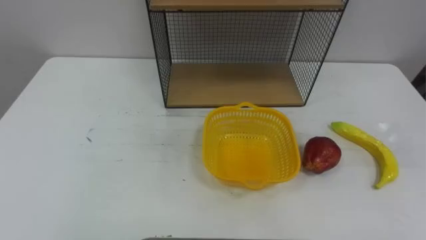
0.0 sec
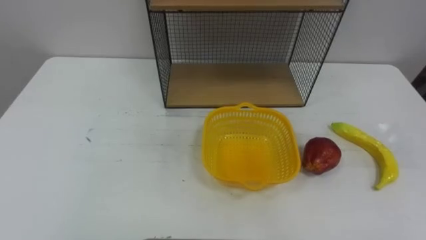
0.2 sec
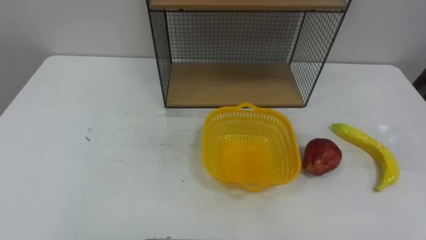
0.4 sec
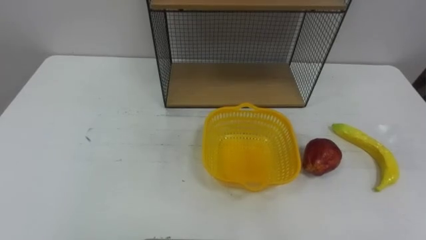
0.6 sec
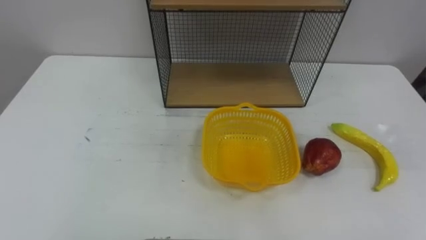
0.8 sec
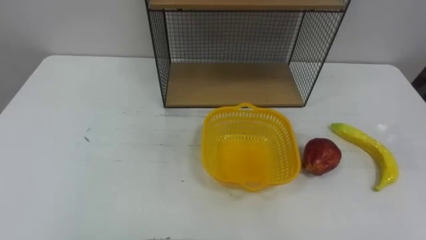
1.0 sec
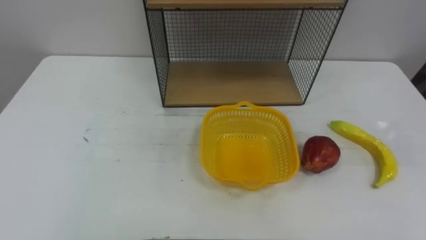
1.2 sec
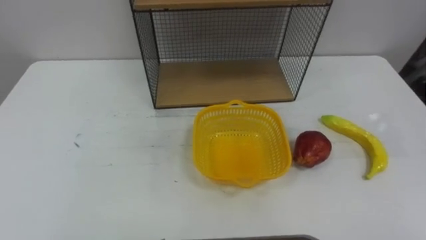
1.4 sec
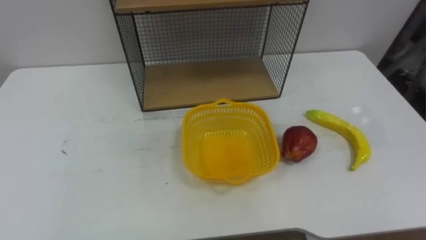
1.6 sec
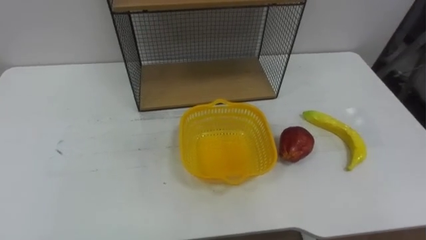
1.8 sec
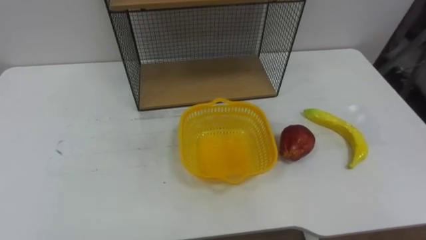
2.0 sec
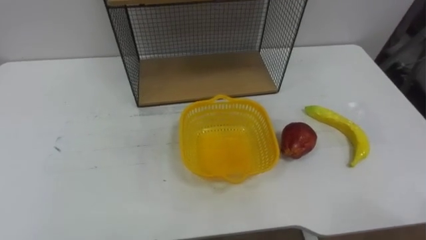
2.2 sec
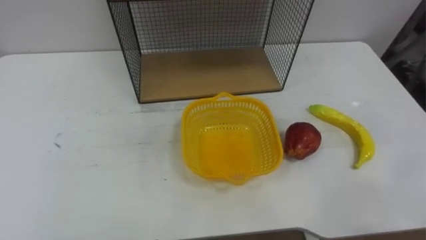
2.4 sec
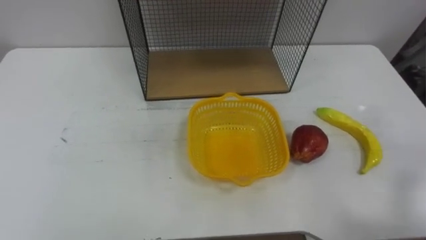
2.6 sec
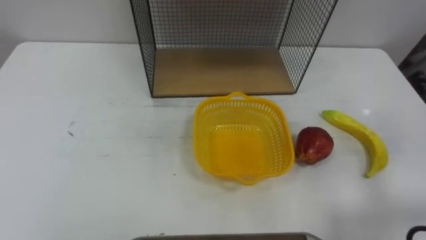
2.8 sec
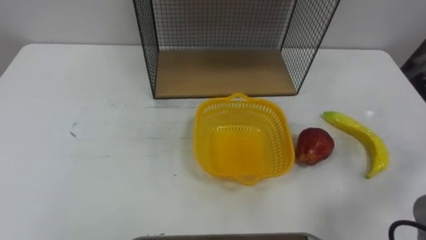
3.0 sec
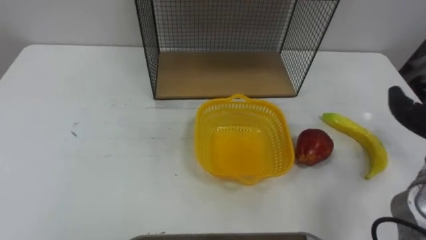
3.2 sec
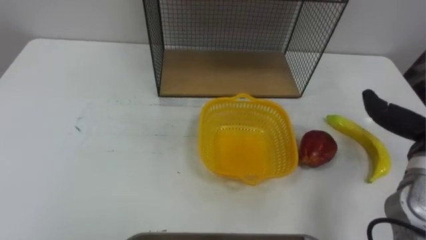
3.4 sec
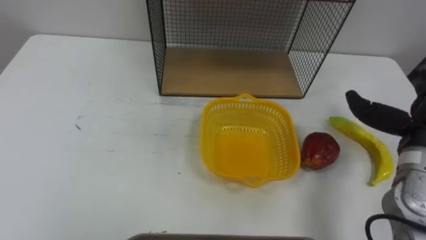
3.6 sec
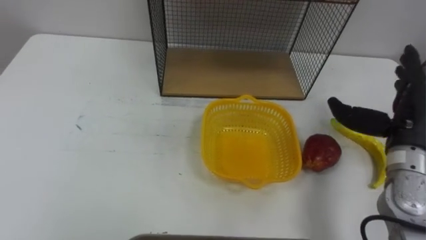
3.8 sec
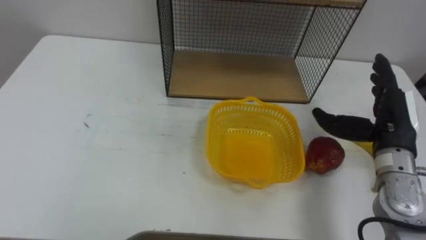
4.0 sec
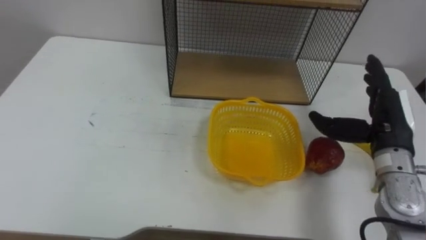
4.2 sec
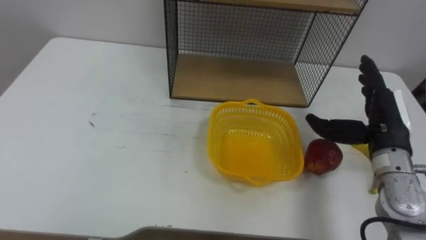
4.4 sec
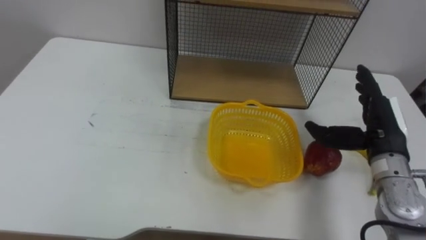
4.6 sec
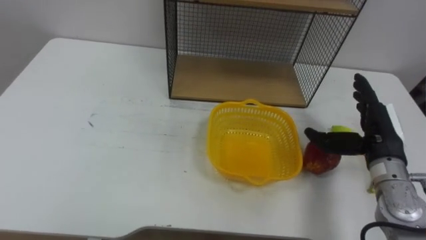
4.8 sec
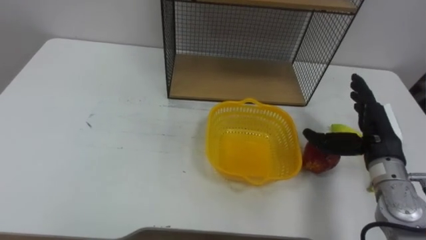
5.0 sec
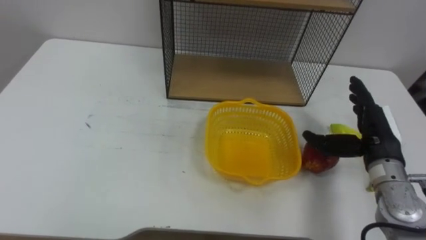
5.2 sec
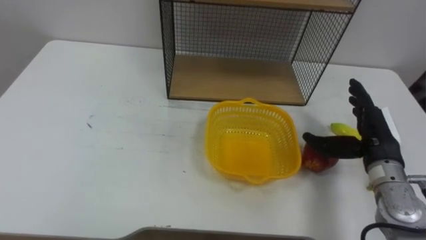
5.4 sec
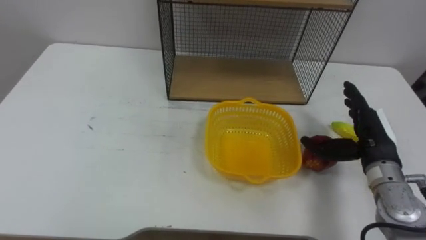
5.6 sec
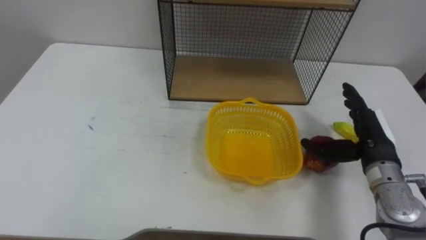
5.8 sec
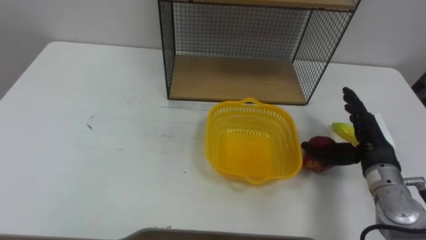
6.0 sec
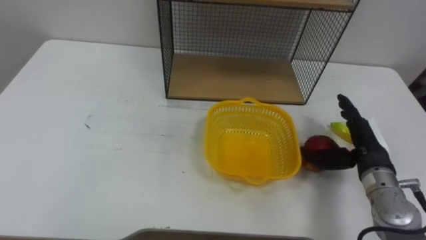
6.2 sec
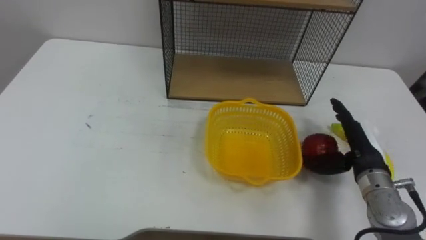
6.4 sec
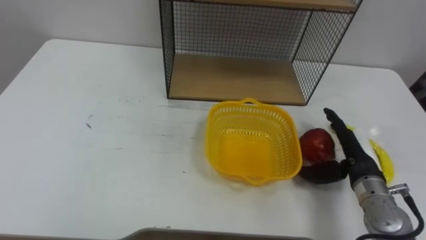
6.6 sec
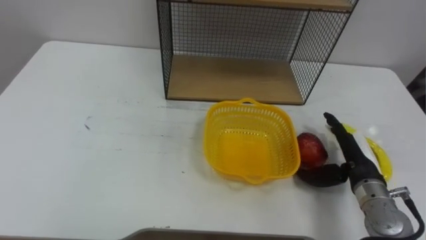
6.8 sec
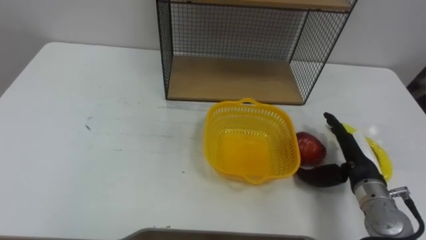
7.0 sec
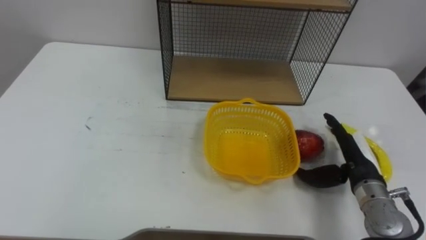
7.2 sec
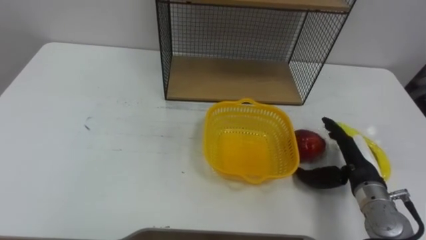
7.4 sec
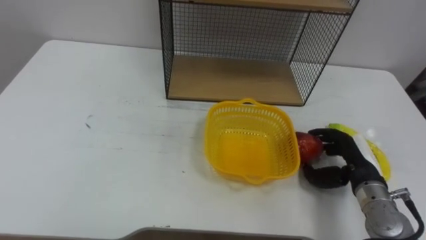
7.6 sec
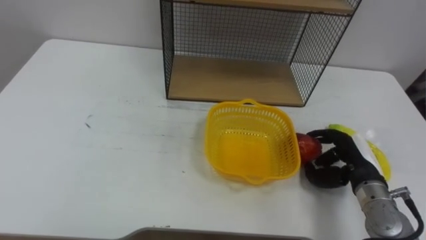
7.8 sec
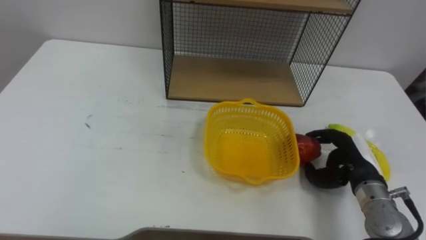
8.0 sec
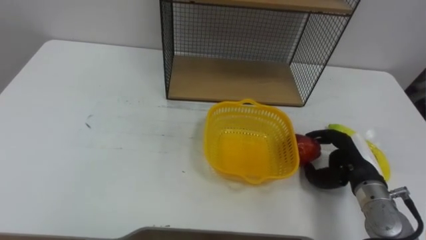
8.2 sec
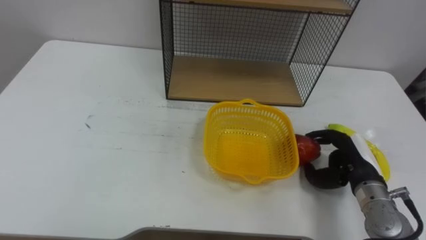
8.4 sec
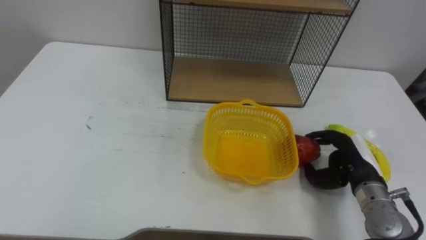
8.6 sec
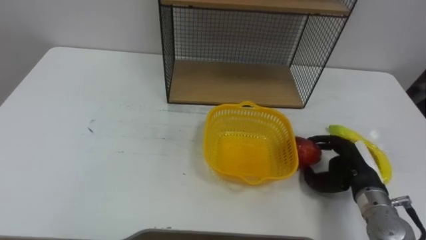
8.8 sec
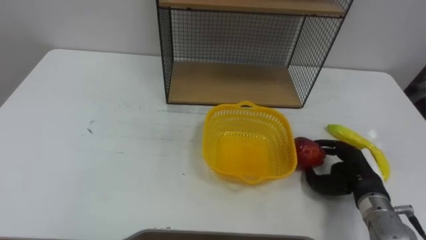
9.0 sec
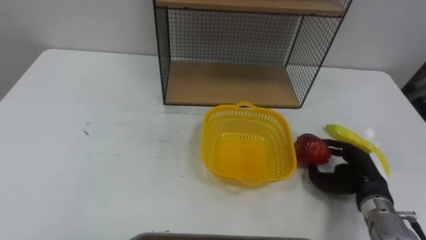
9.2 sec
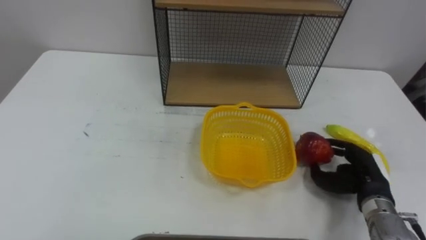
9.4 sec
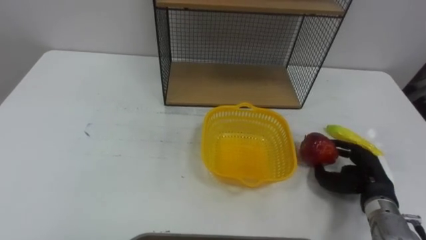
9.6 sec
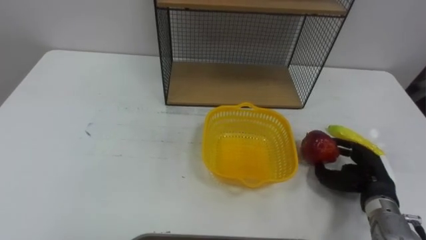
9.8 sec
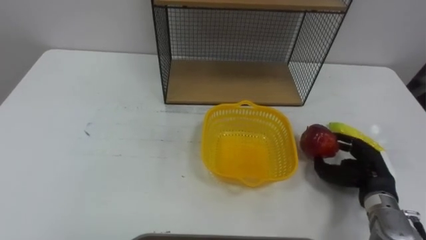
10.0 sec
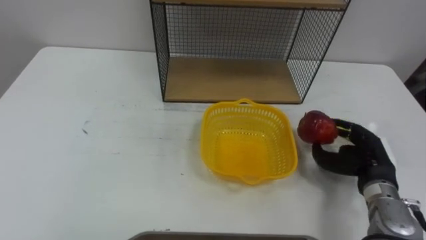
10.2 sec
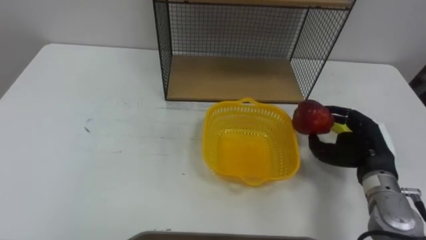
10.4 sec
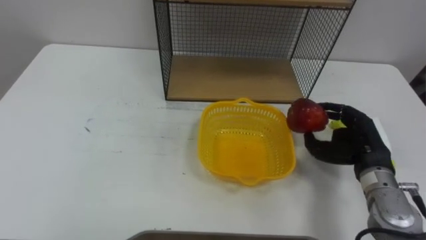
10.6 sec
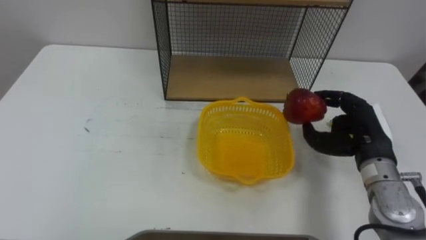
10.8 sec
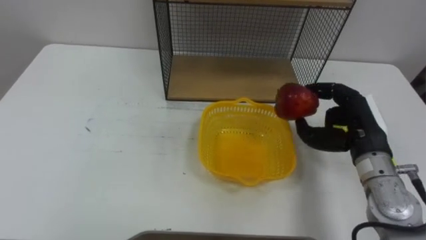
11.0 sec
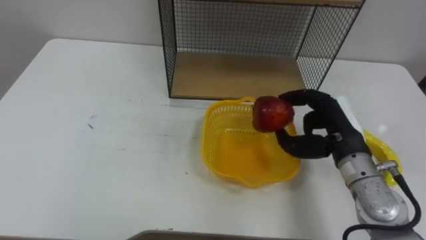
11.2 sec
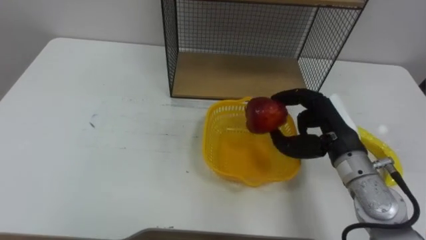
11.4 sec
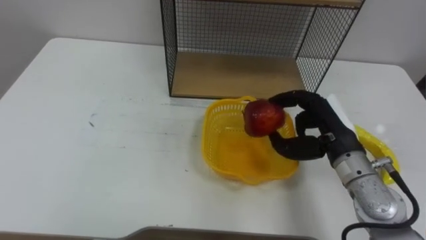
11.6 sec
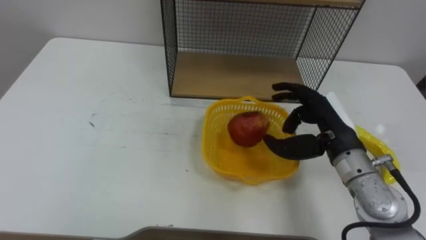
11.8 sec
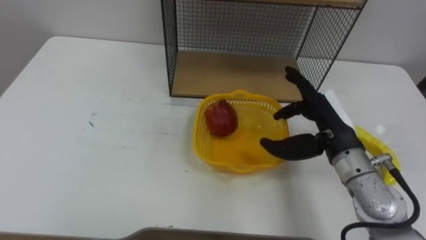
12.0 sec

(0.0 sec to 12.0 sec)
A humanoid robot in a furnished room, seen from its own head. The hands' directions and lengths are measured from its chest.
Task of the whole recording: Put the fruit on the table into the basket, then place the basket on the shelf.
4.4 sec - 6.0 sec: The right hand is displaced downward by some 5 cm.
6.0 sec - 7.6 sec: The right hand ends up approximately 5 cm from where it was, and closes its fingers.
9.0 sec - 10.4 sec: The right hand goes about 5 cm upward.
10.4 sec - 12.0 sec: The right hand moves to the left and upward, approximately 10 cm, and opens up.

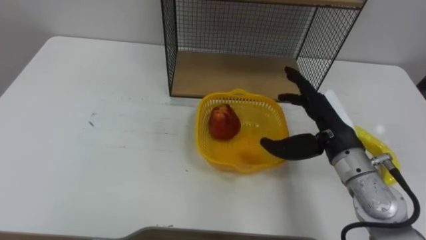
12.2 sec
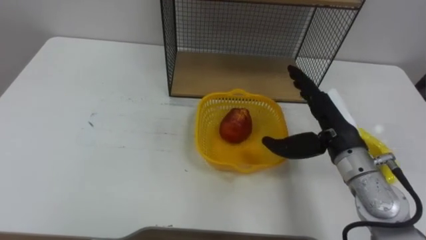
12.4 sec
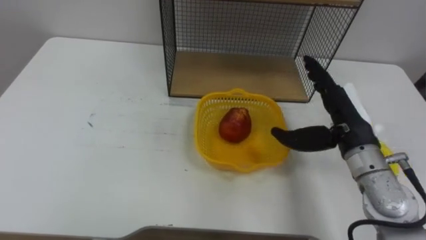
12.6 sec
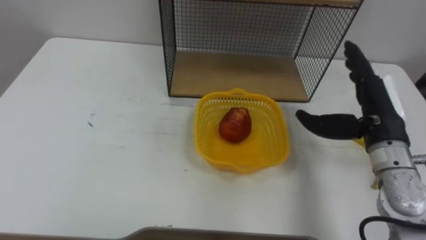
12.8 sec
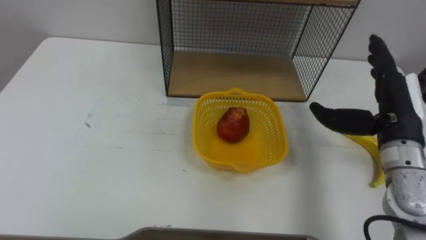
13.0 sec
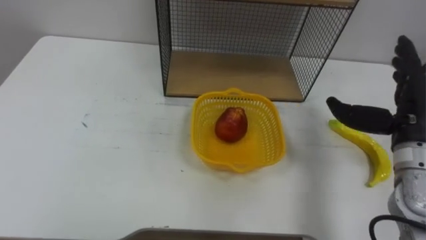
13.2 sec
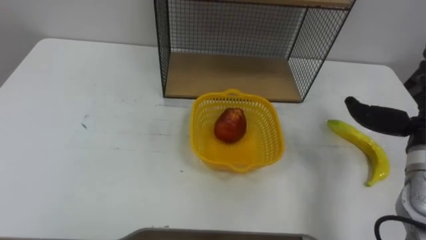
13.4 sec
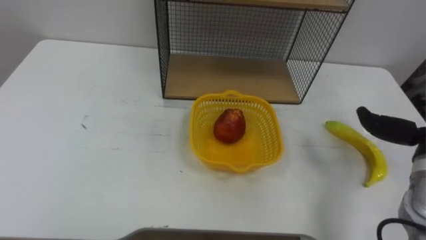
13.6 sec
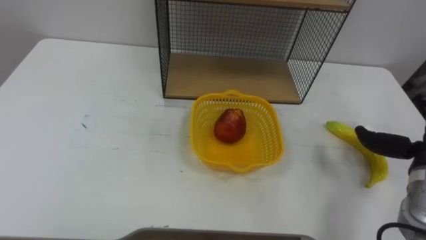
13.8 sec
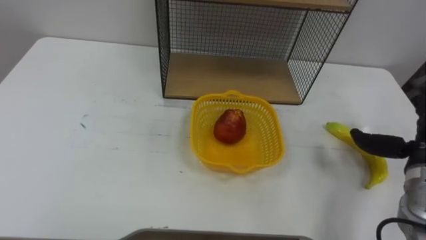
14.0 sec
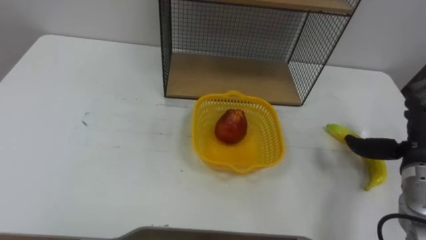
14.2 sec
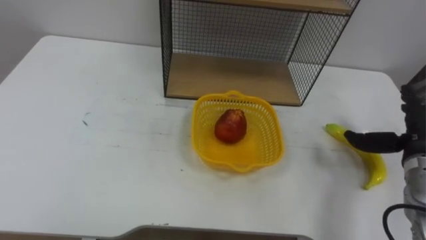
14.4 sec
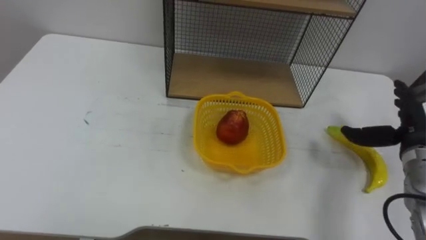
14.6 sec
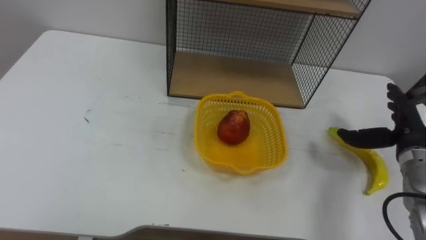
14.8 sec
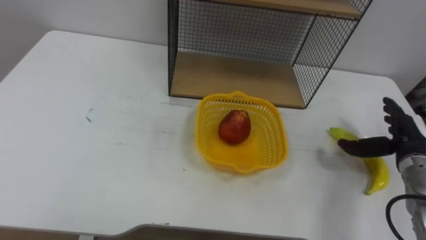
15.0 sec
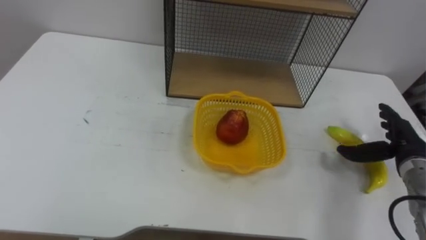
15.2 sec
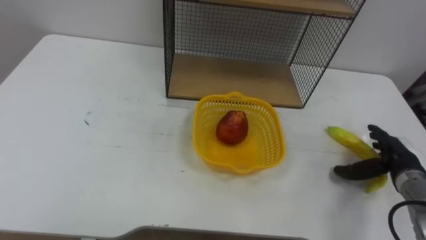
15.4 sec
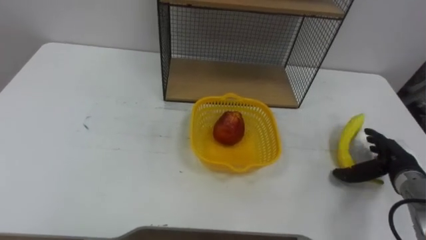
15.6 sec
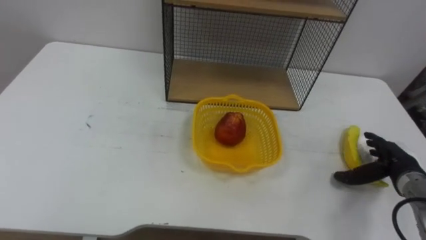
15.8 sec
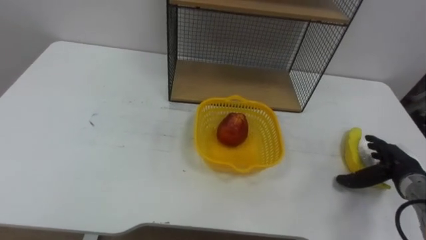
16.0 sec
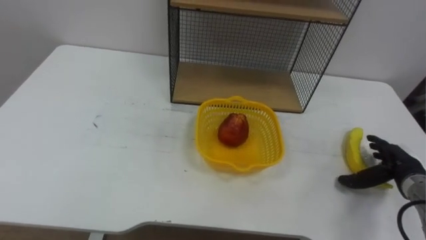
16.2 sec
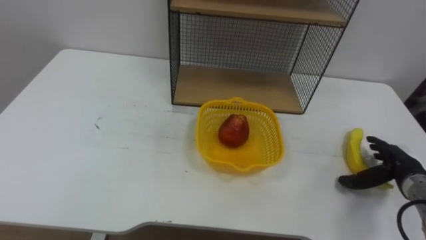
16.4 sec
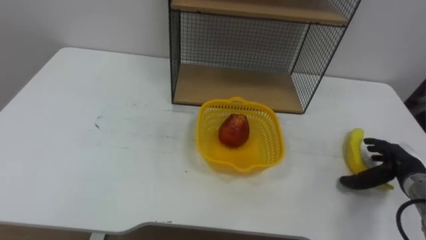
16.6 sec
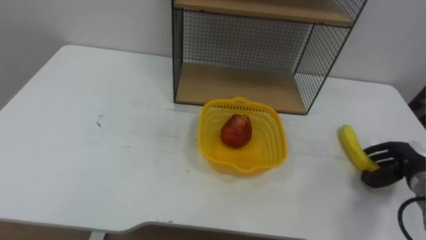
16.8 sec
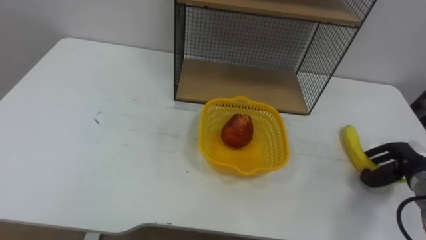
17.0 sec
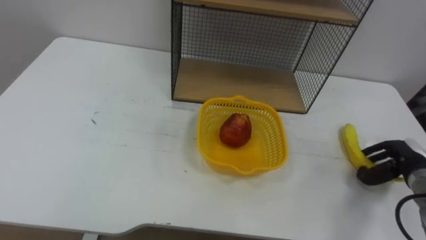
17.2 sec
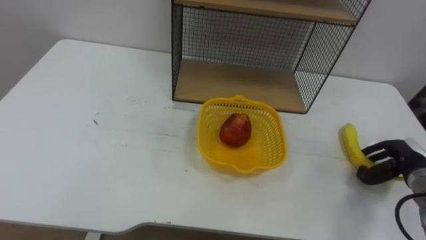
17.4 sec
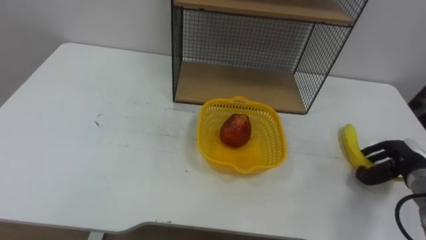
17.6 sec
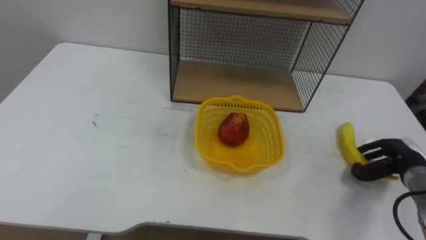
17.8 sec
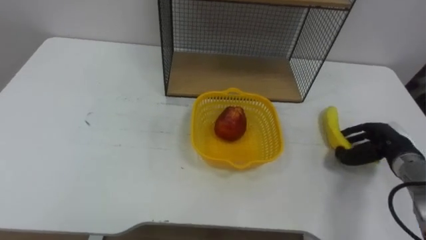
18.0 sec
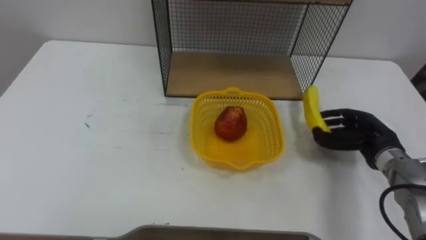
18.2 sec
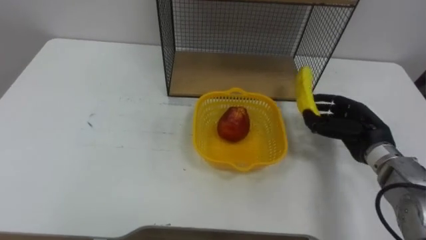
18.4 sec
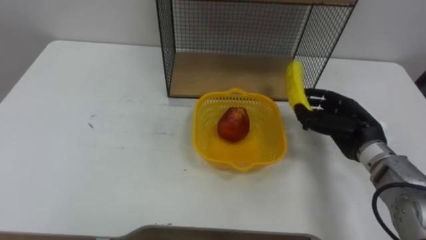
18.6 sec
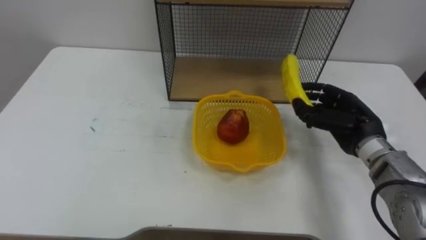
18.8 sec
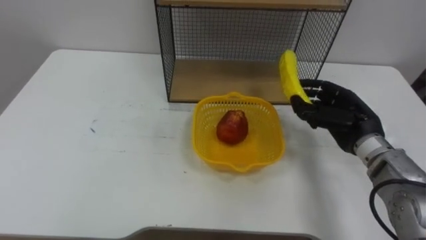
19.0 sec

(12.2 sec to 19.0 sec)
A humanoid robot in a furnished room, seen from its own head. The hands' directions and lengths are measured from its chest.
Task of the whole recording: Put the fruit on the table into the basket, then place the basket on the shelf.
15.0 sec - 16.2 sec: The right hand travels downward by approximately 5 cm.
16.2 sec - 17.6 sec: The right hand closes.
17.6 sec - 19.0 sec: The right hand moves to the left and upward, roughly 15 cm.
